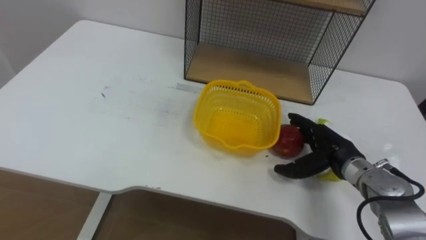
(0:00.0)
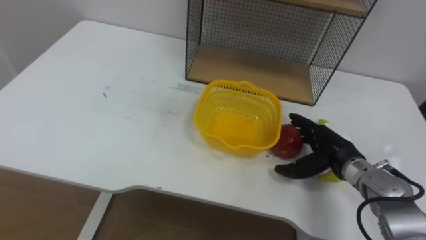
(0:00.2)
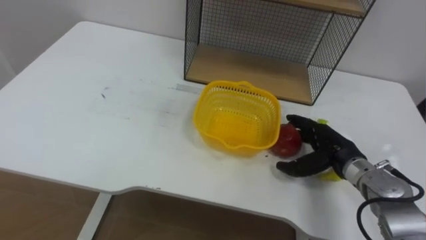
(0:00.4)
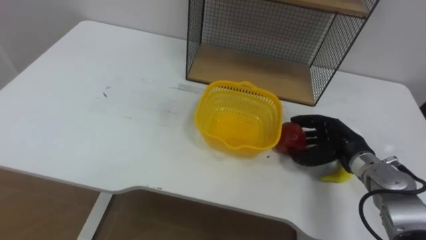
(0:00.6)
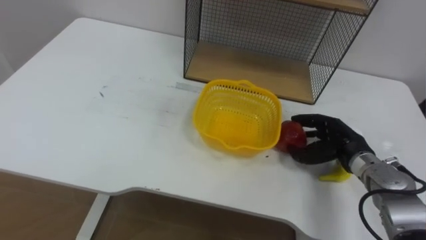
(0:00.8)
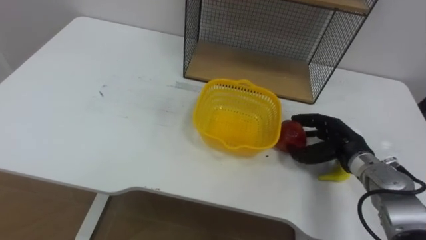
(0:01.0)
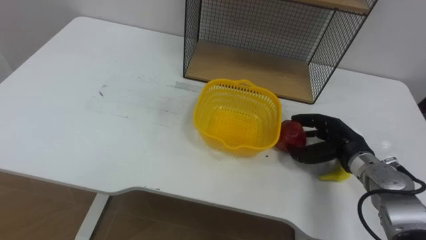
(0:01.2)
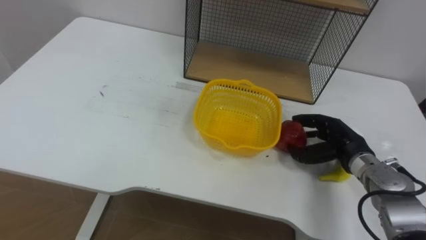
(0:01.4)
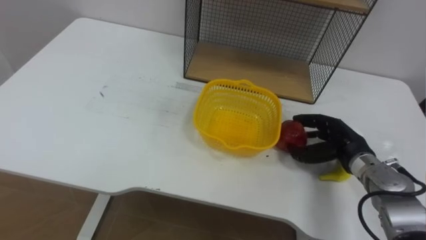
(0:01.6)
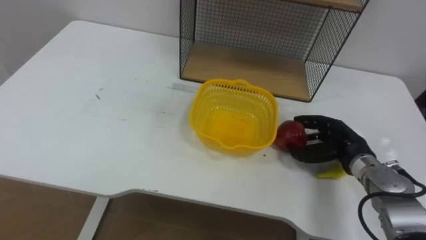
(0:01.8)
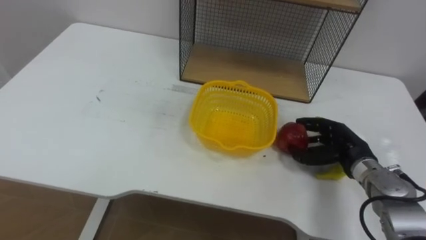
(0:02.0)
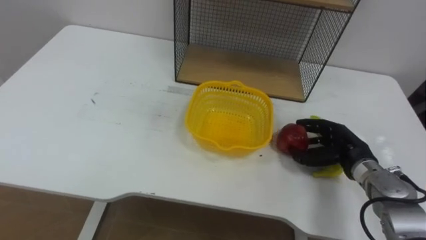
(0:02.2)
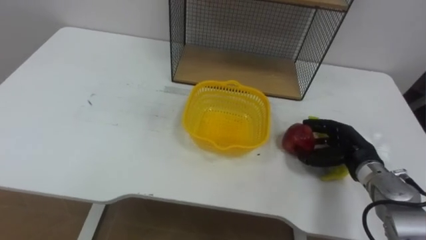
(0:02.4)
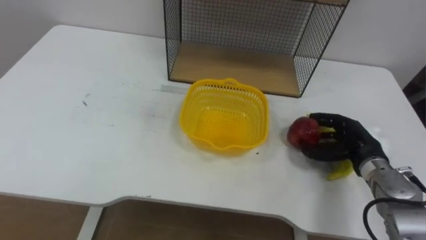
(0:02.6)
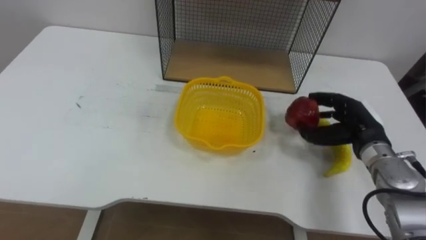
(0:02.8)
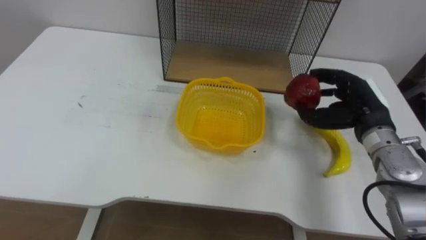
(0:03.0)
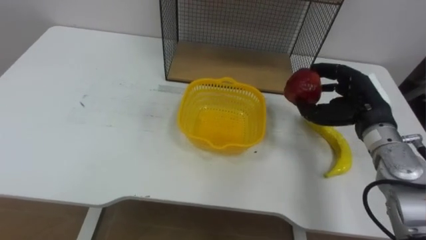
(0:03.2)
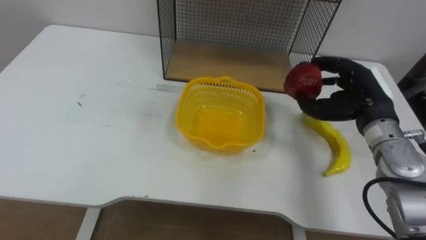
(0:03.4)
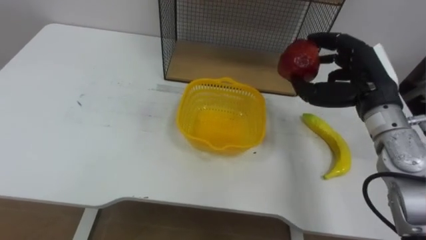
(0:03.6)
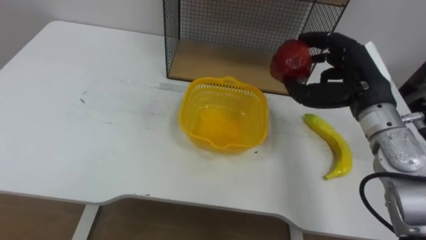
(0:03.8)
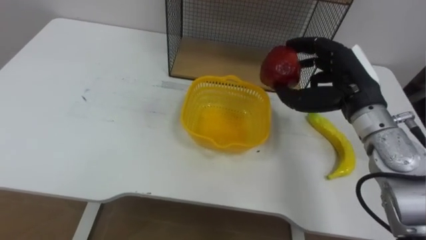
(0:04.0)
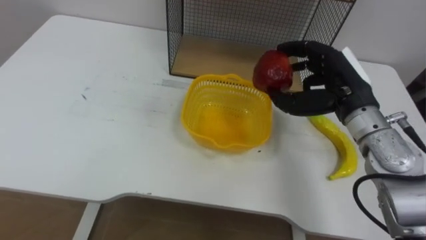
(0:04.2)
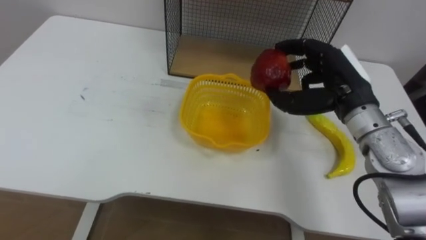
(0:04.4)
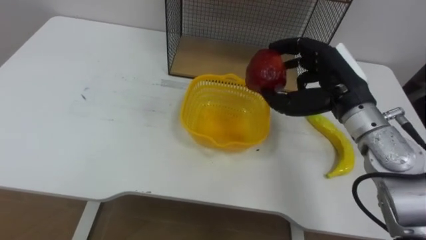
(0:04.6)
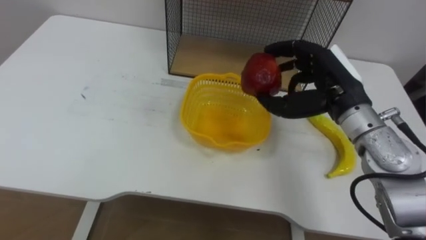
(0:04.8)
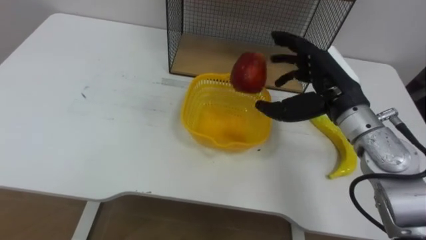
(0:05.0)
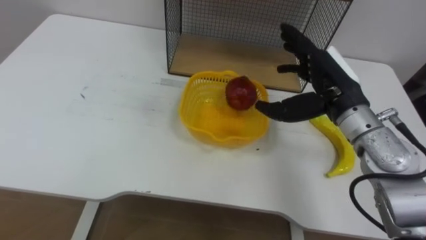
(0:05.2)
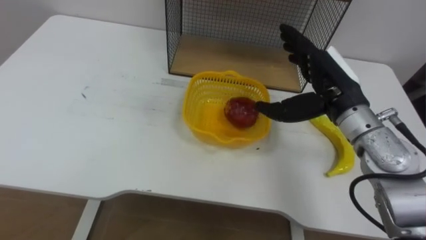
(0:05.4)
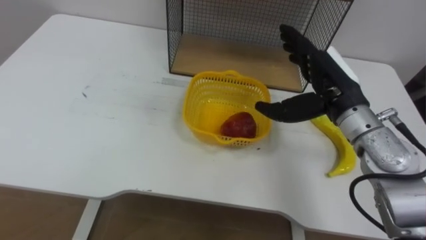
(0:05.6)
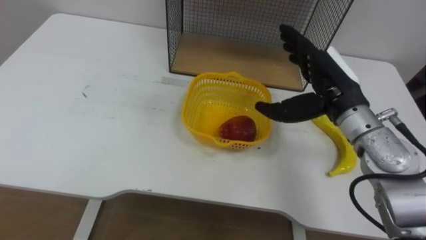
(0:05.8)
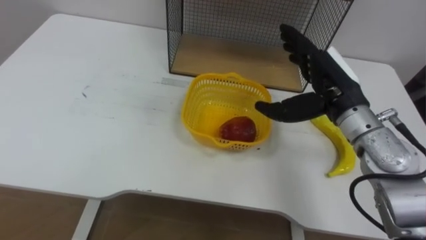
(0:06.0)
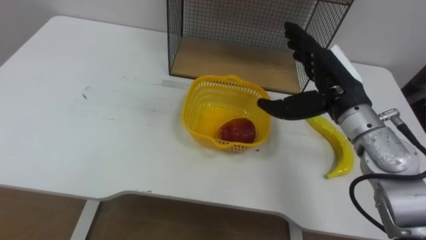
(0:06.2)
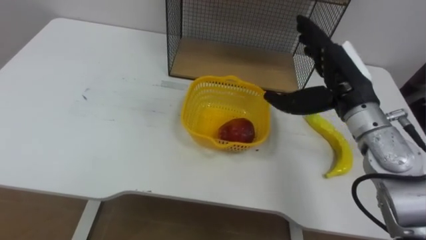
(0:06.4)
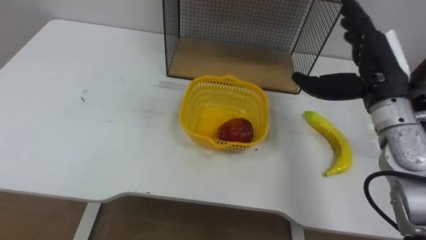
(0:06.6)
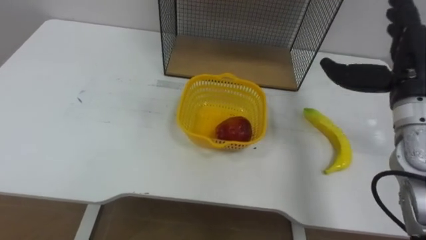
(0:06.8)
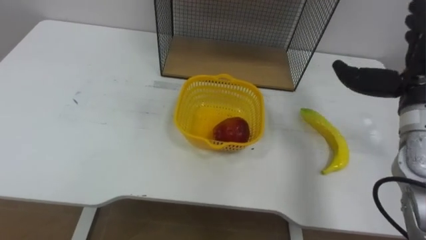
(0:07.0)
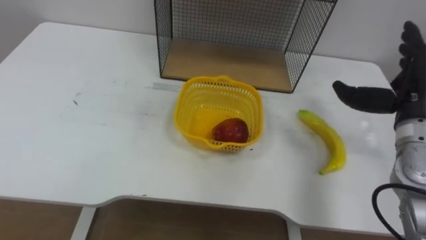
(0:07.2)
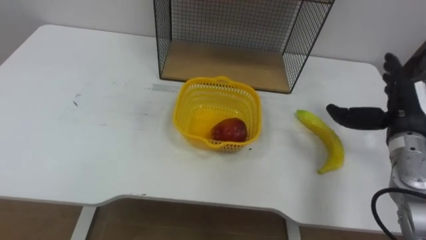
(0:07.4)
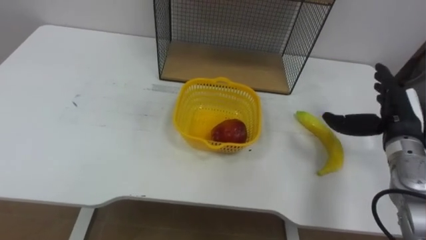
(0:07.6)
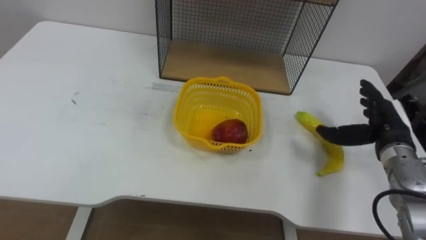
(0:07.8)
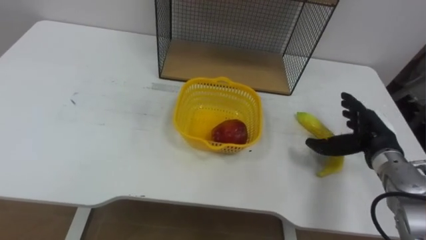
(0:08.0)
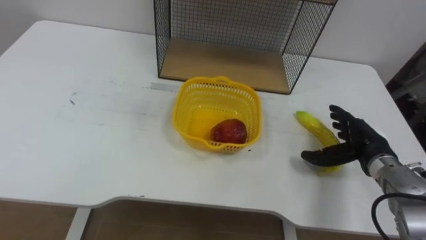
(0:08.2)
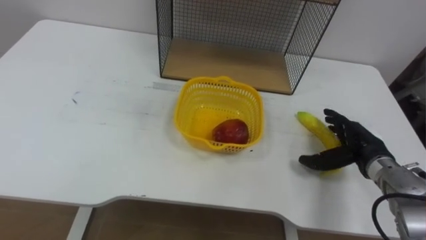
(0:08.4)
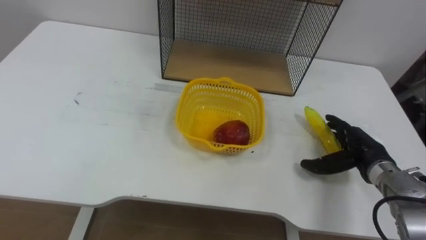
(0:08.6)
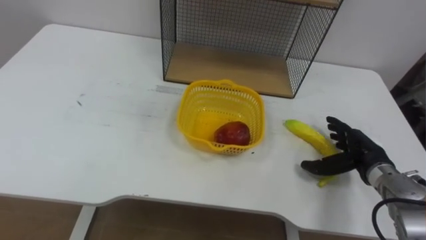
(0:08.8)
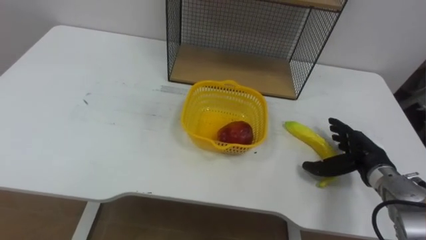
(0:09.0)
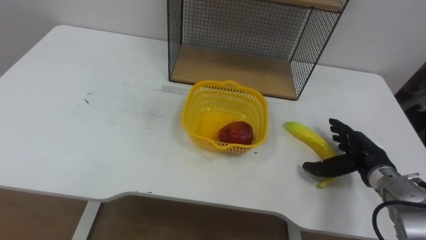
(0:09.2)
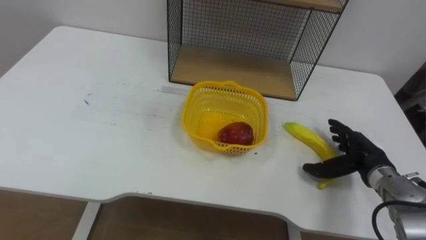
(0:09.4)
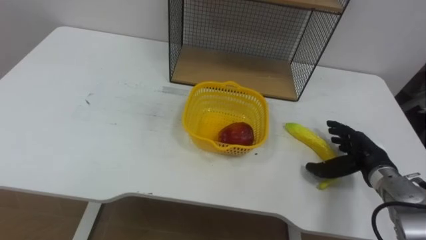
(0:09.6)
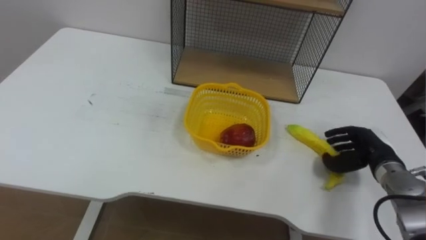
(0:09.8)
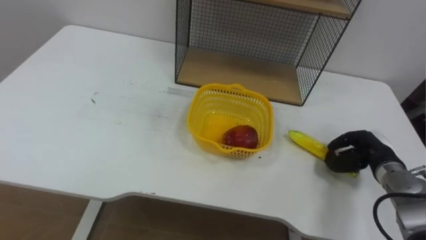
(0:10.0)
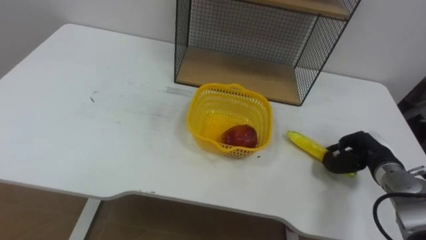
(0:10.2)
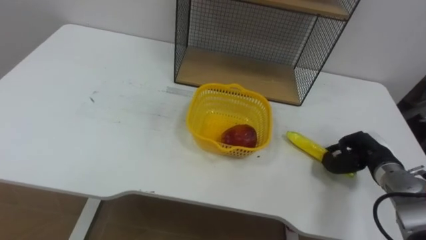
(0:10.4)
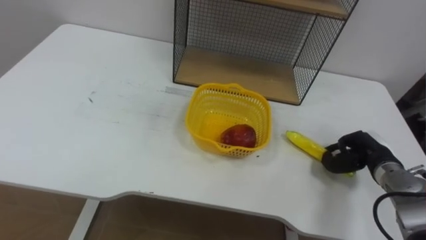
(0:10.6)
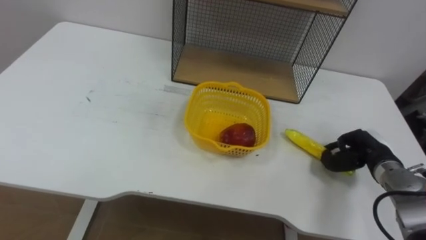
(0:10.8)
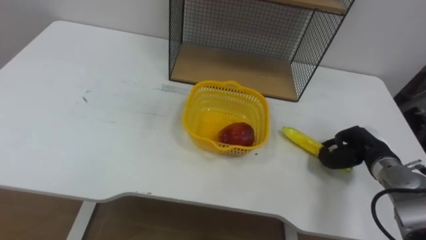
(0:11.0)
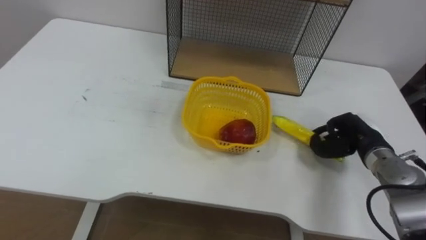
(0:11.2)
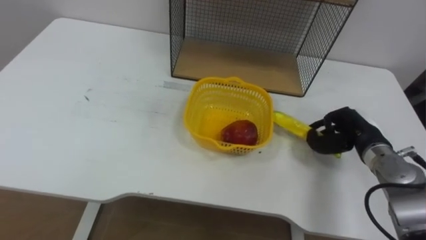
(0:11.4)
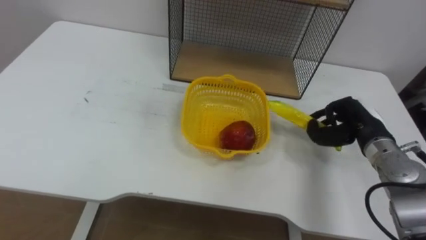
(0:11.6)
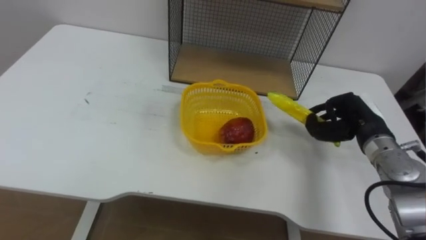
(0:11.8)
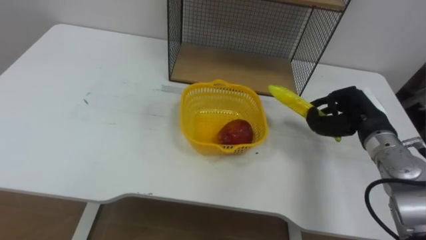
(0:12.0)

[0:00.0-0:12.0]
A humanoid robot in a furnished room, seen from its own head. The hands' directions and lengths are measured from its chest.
Task of the whole recording: Put the fruit on the table into the basket, then place the basket on the shelf.
0:00.0 to 0:01.6: The right hand closes.
0:01.6 to 0:03.0: The right hand heads upward, covering some 10 cm.
0:03.0 to 0:04.4: The right hand moves upward and to the left, approximately 10 cm.
0:04.4 to 0:06.0: The right hand opens.
0:06.0 to 0:07.6: The right hand goes about 15 cm to the right and downward.
0:07.6 to 0:09.0: The right hand heads downward, covering approximately 10 cm.
0:09.0 to 0:10.4: The right hand closes.
0:10.4 to 0:12.0: The right hand heads upward, covering some 10 cm.

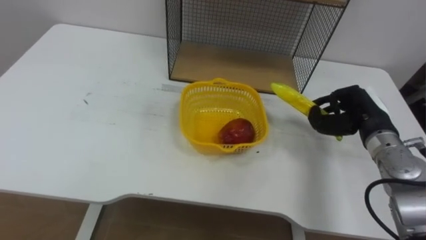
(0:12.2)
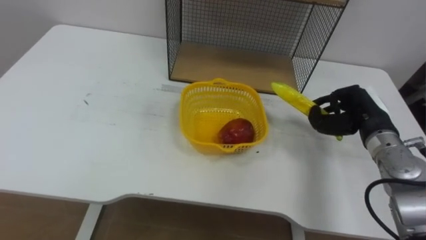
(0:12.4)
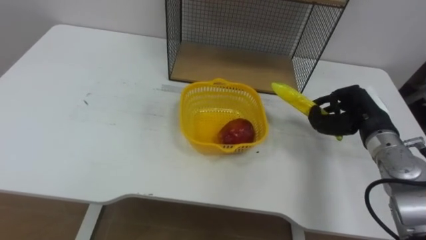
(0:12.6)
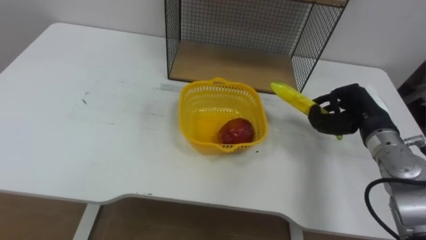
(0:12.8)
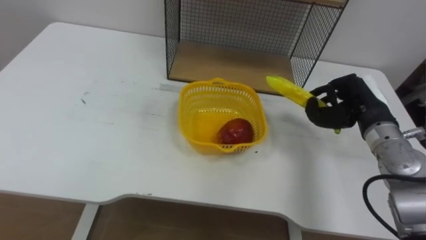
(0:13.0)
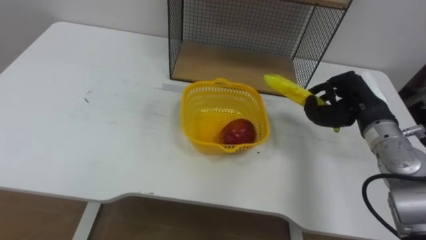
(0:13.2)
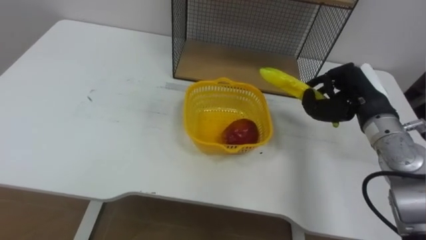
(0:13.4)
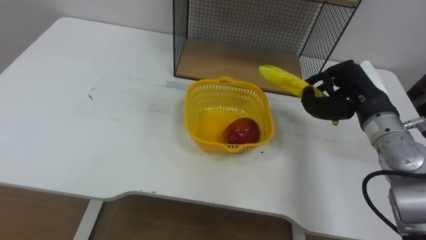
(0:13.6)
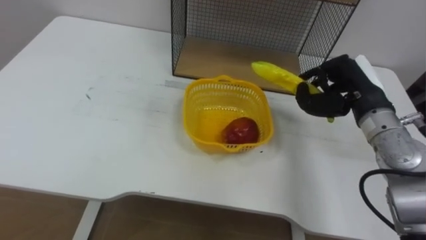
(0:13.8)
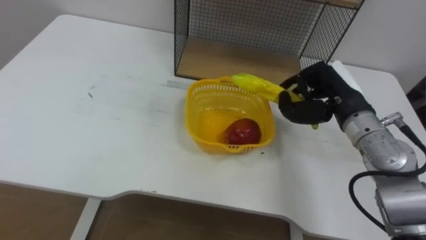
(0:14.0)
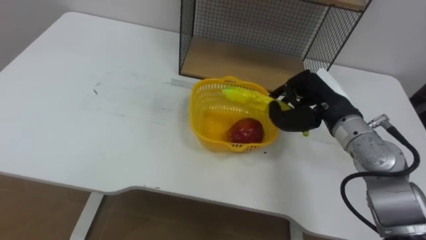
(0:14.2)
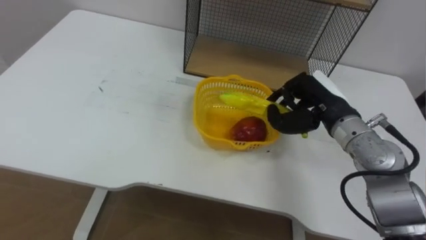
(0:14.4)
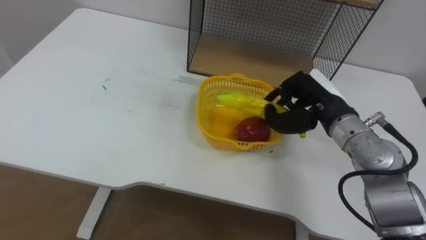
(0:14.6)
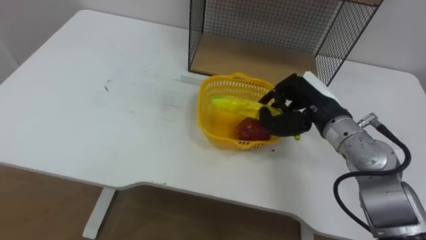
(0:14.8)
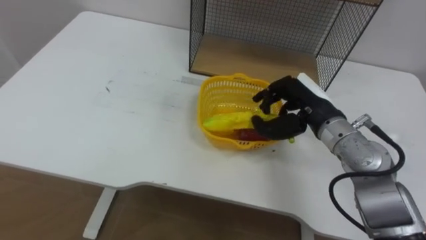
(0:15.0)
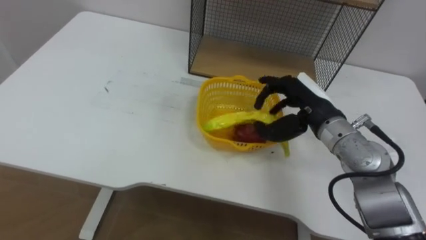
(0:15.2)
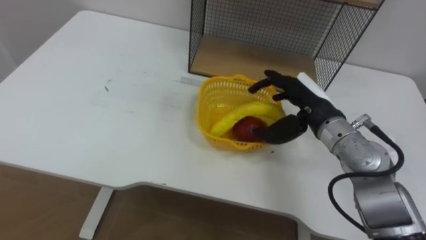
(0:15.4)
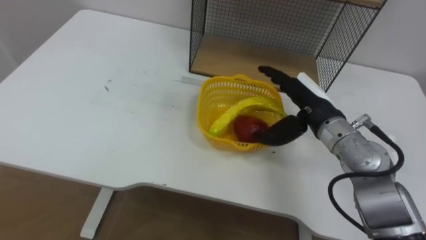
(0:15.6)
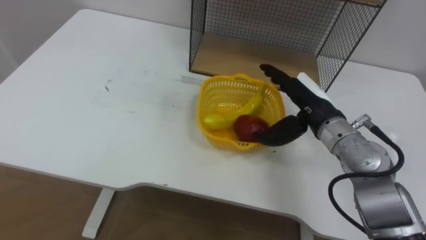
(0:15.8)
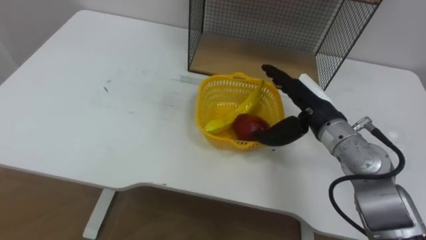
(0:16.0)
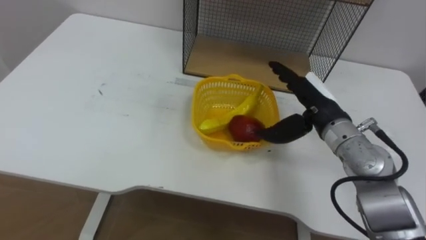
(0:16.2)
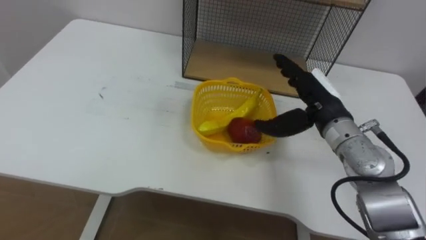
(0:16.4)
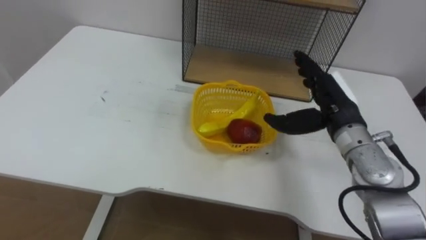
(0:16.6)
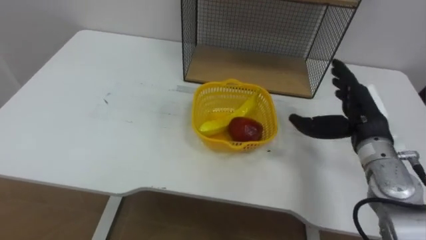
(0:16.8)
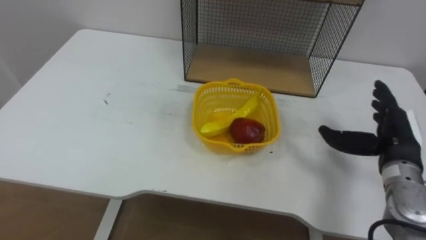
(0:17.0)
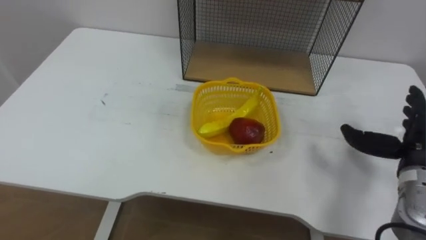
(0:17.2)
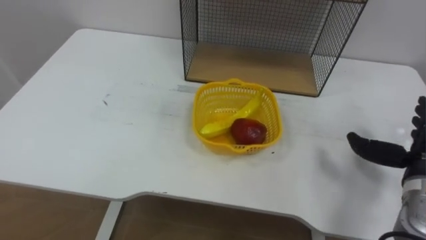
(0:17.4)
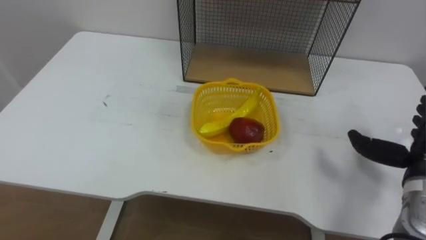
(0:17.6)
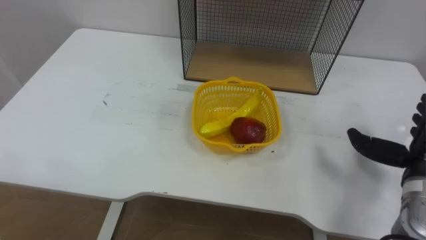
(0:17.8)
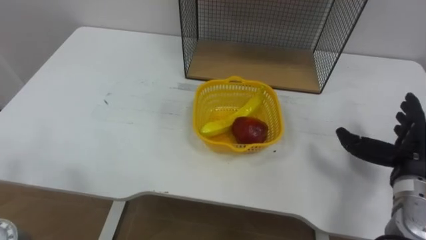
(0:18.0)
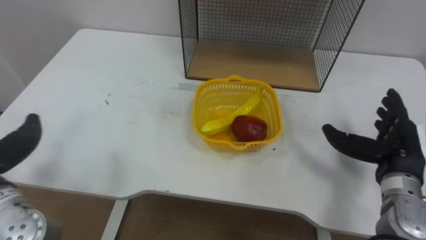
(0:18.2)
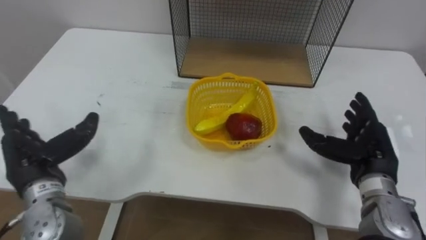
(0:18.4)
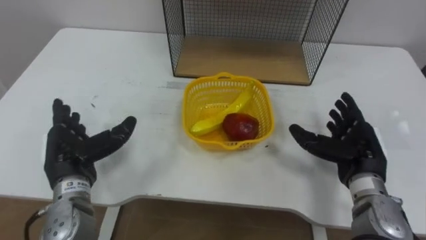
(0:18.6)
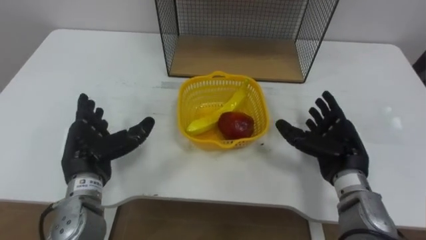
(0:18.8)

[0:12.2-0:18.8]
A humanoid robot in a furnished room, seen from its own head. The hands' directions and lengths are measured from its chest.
Task of the whole recording: Put the fruit on the table into the basket, then place the basket on the shelf.
0:12.2 to 0:13.8: The right hand goes some 5 cm upward.
0:13.8 to 0:15.4: The right hand moves to the left, roughly 10 cm, and opens.
0:15.4 to 0:17.2: The right hand heads to the right and backward, covering some 20 cm.
0:17.2 to 0:18.8: The right hand shifts some 10 cm to the left.
